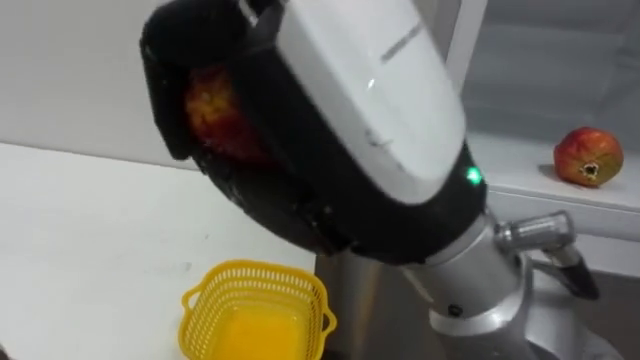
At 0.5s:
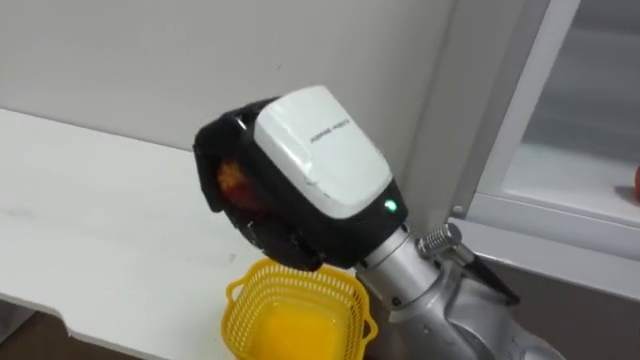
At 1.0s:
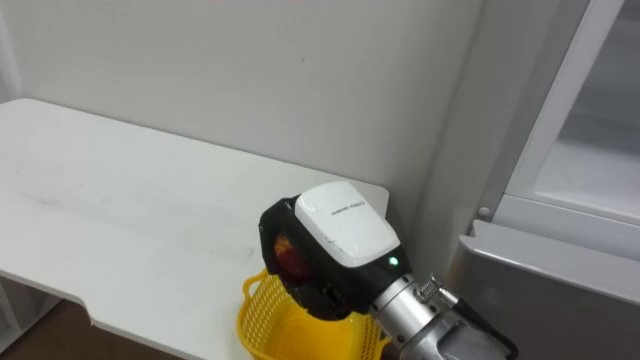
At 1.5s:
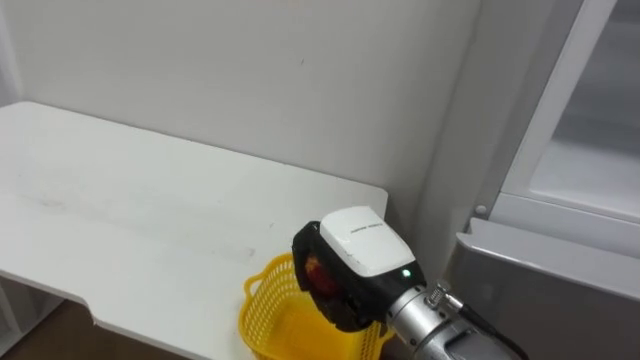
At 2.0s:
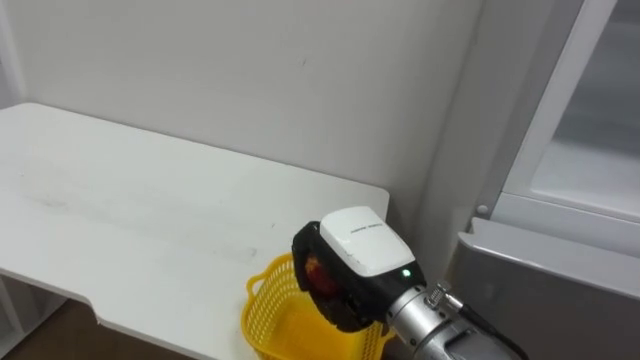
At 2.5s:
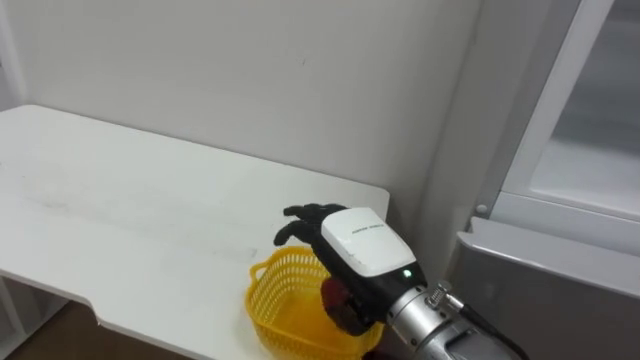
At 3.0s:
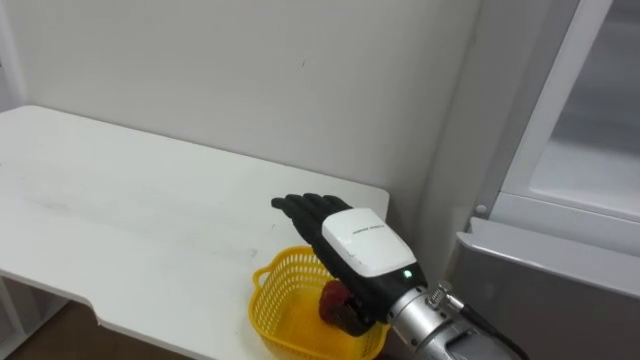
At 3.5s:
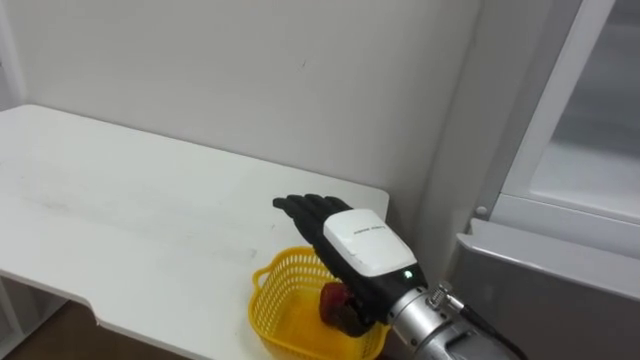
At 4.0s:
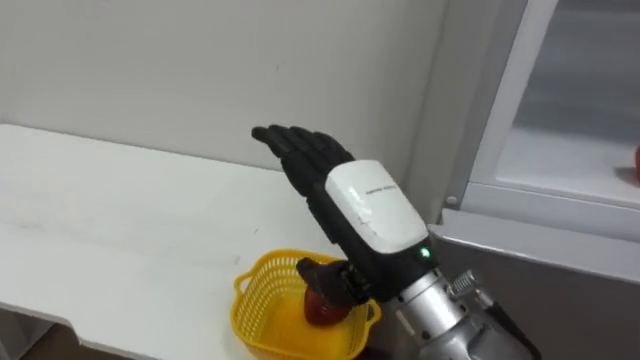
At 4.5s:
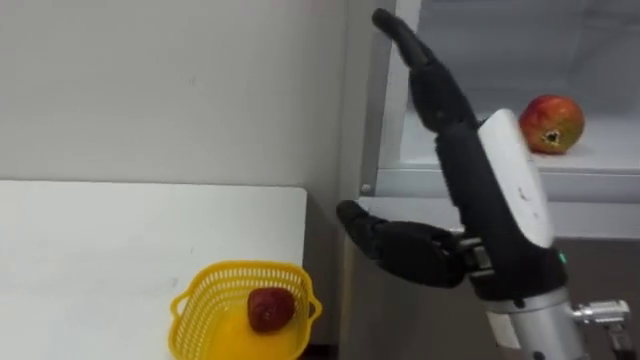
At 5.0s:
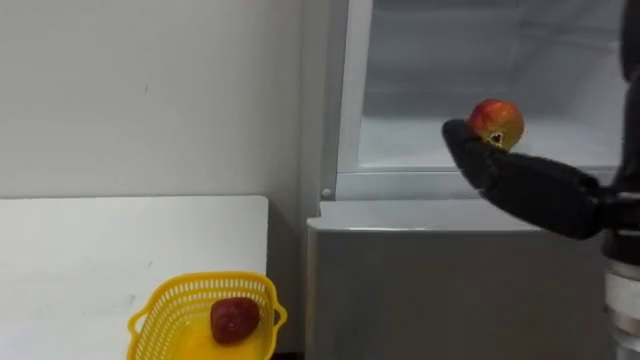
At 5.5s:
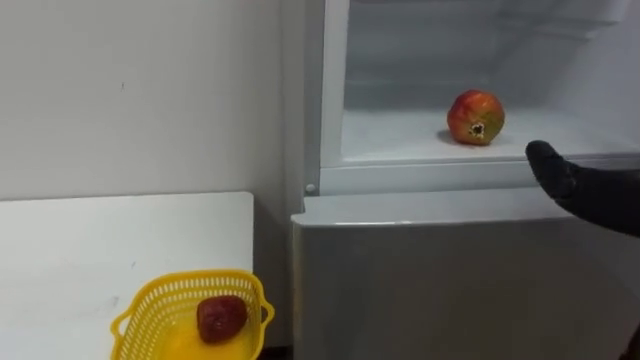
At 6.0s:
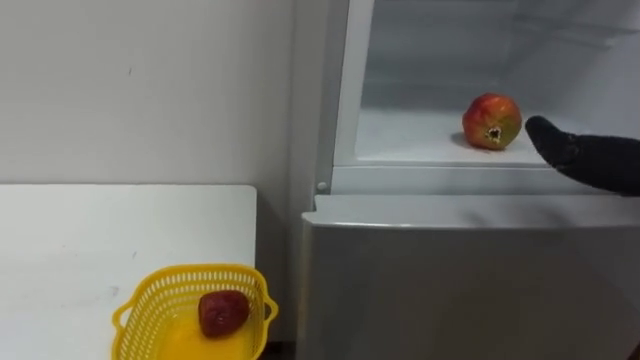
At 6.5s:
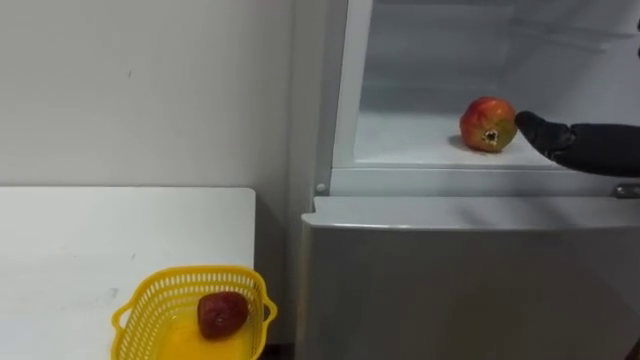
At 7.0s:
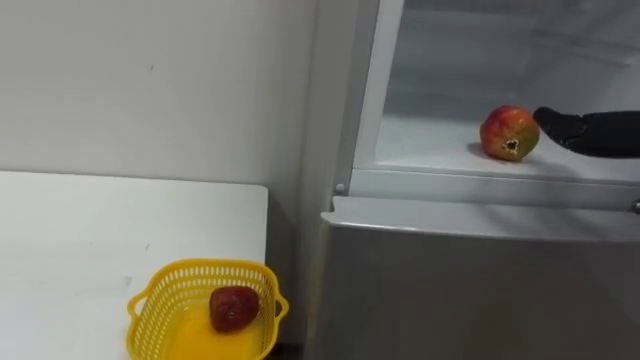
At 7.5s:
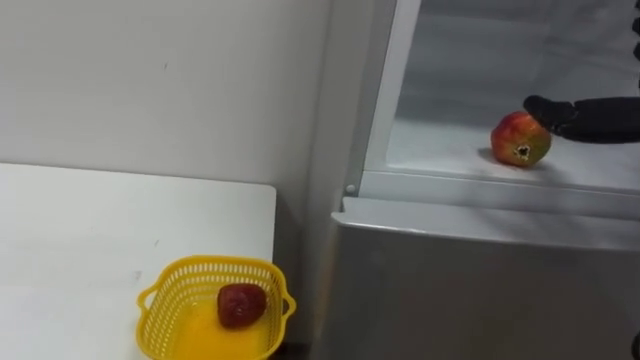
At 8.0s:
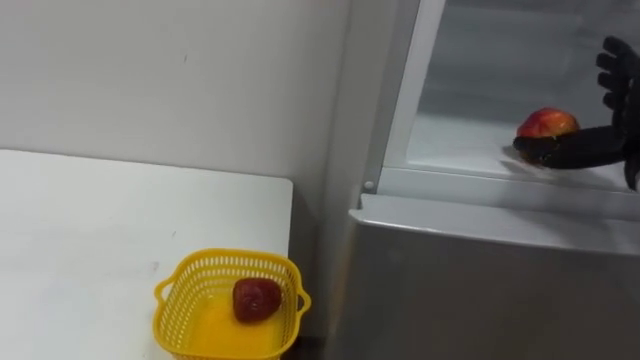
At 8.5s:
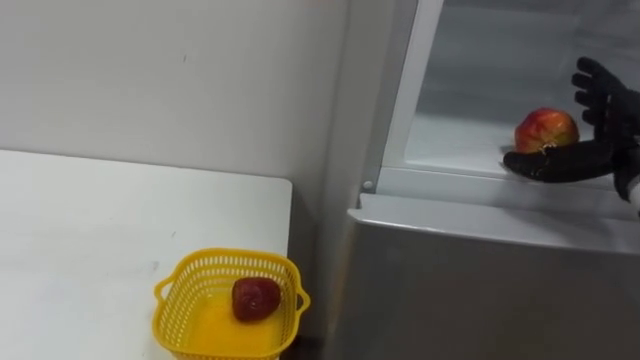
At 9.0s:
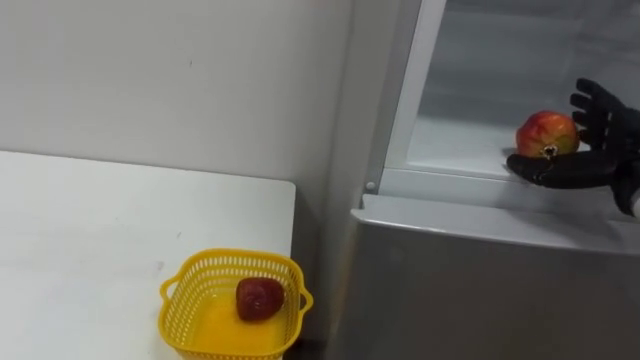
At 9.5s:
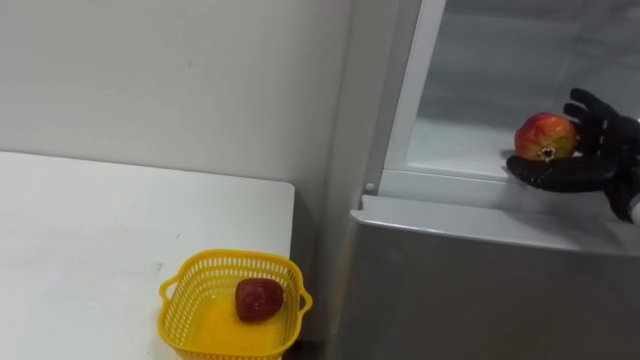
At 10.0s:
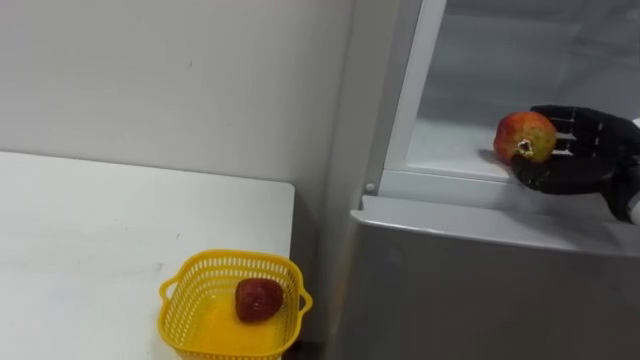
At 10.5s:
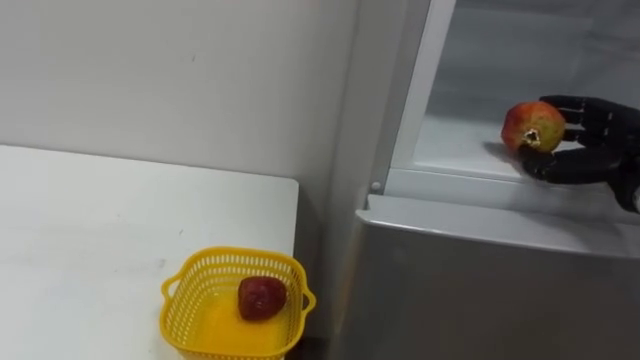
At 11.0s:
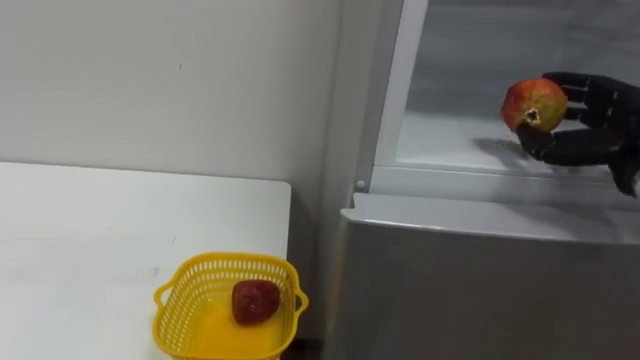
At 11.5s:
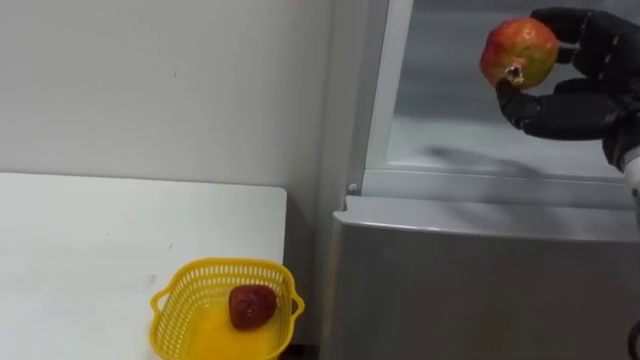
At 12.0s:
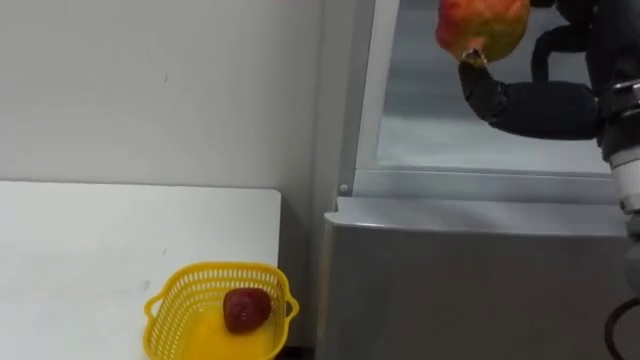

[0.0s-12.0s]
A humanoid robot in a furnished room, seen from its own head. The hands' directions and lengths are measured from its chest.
Task of the whole recording: Open the refrigerator door, take out the apple and the pomegranate, place them in the fruit basket on the left, and close the refrigerator door.
0.0s to 2.0s: The right hand is displaced downward and forward by roughly 25 cm.
2.0s to 4.0s: The right hand is displaced upward by about 5 cm, and opens up.
10.0s to 12.0s: The right hand heads upward, to the left and backward, covering some 20 cm.

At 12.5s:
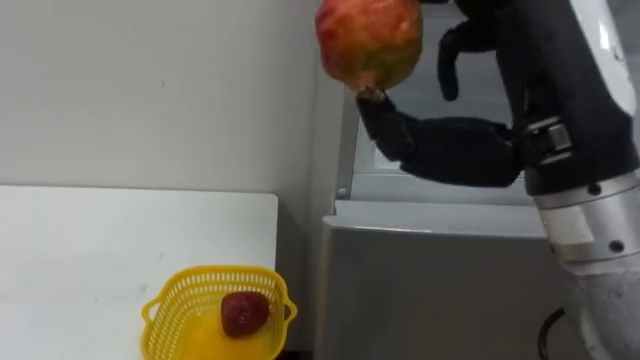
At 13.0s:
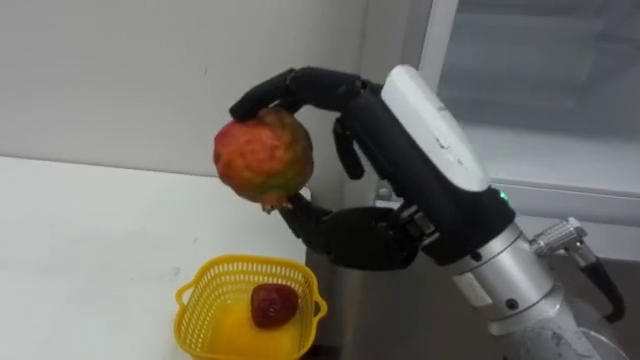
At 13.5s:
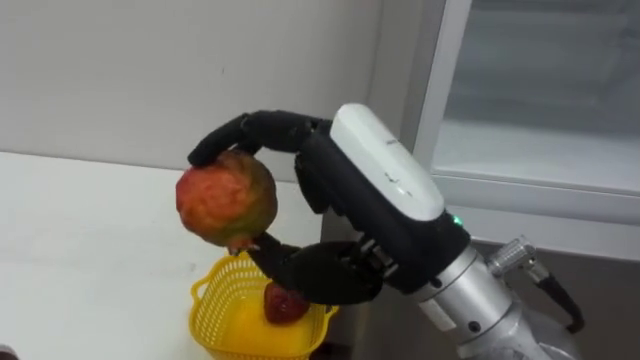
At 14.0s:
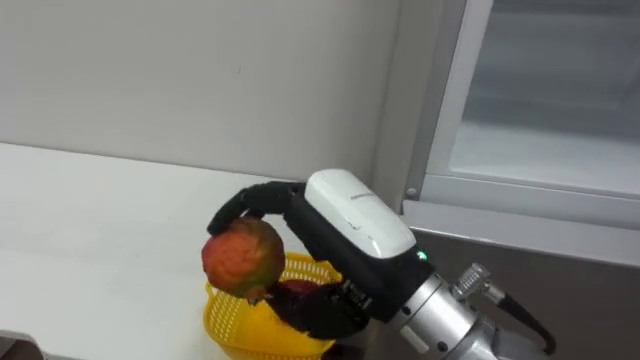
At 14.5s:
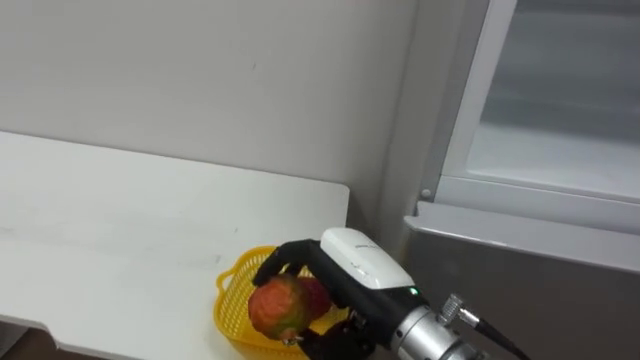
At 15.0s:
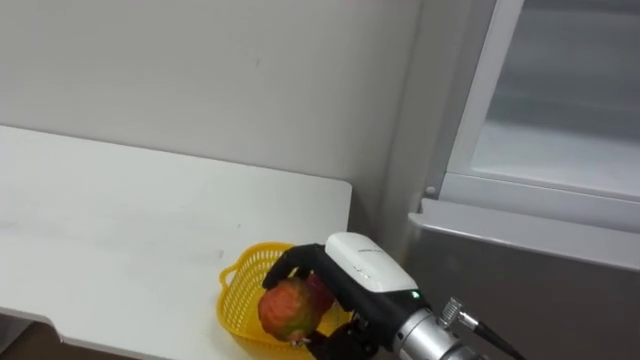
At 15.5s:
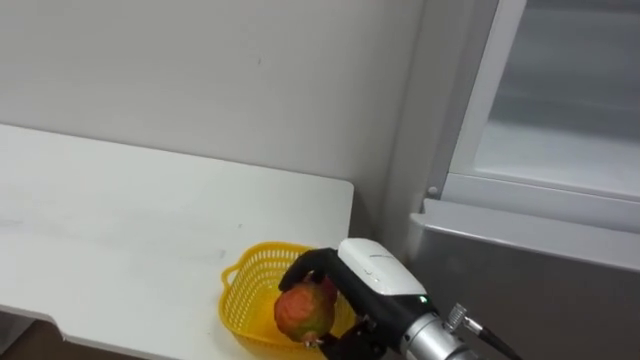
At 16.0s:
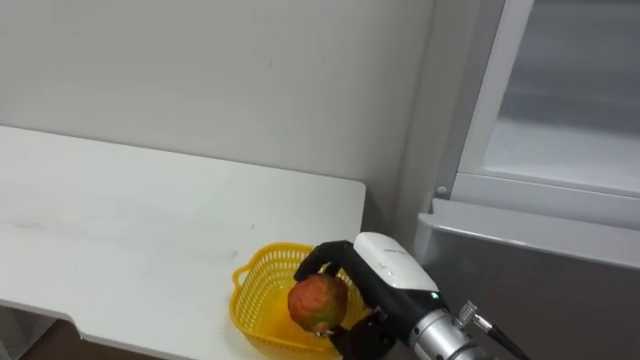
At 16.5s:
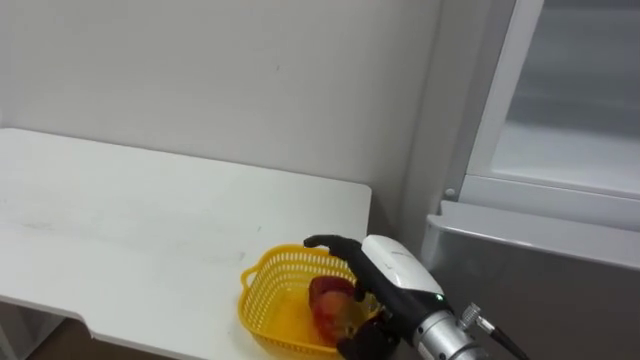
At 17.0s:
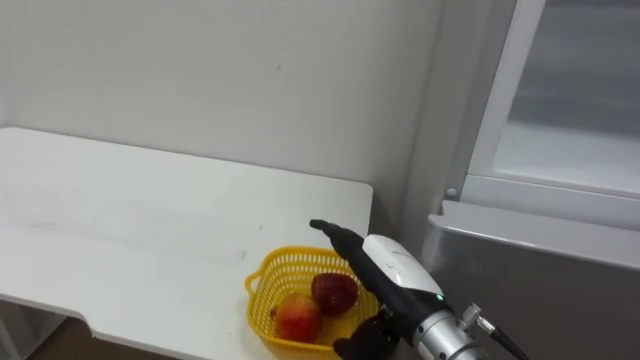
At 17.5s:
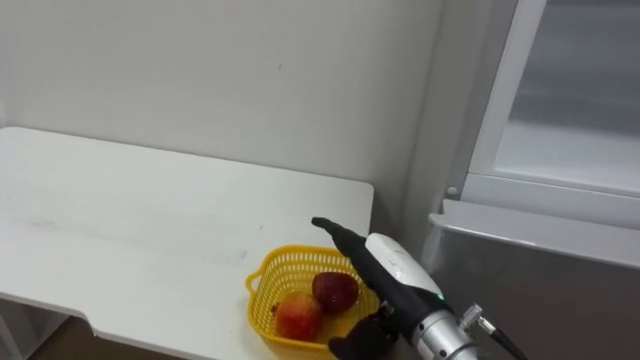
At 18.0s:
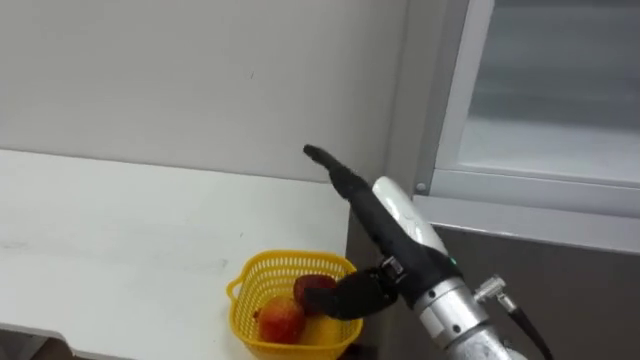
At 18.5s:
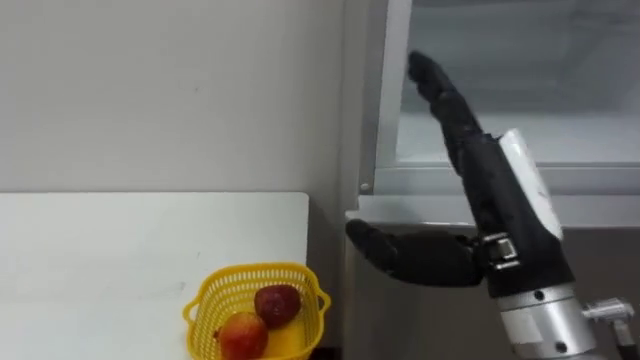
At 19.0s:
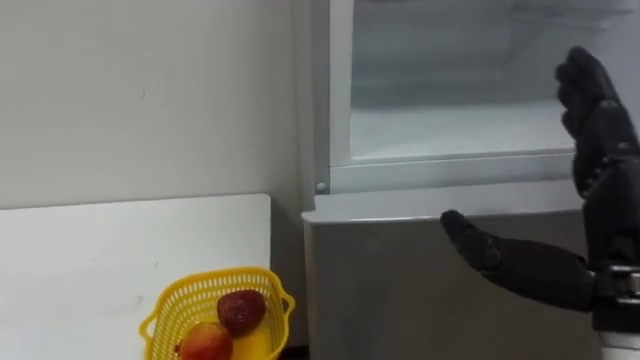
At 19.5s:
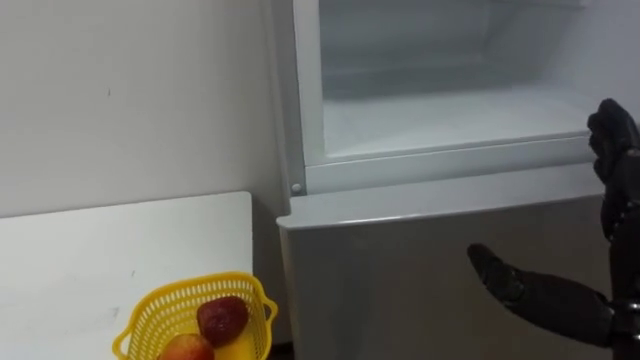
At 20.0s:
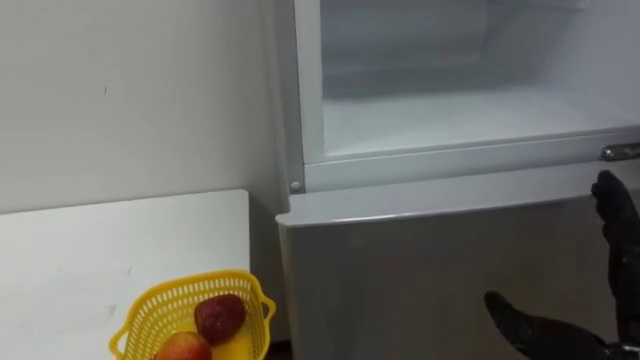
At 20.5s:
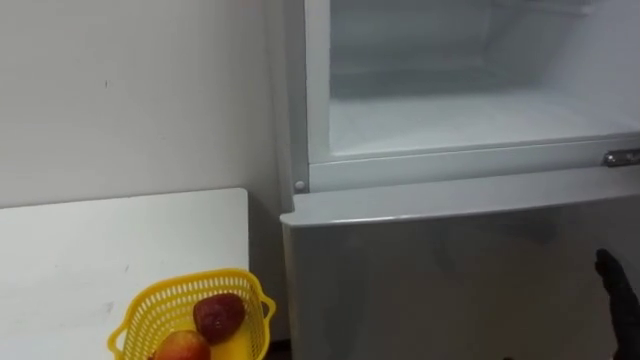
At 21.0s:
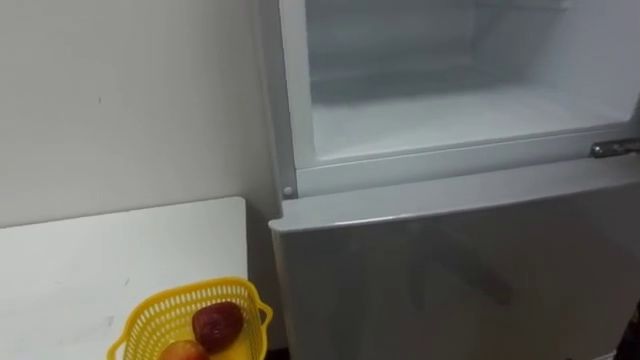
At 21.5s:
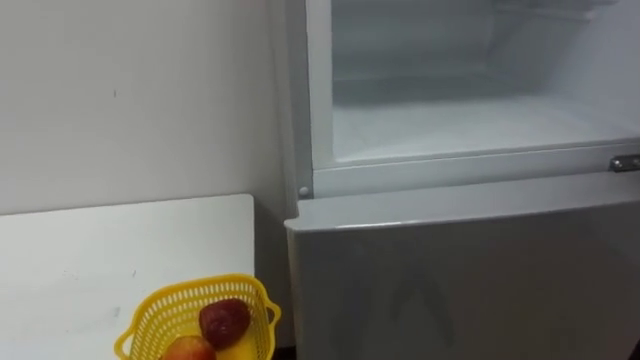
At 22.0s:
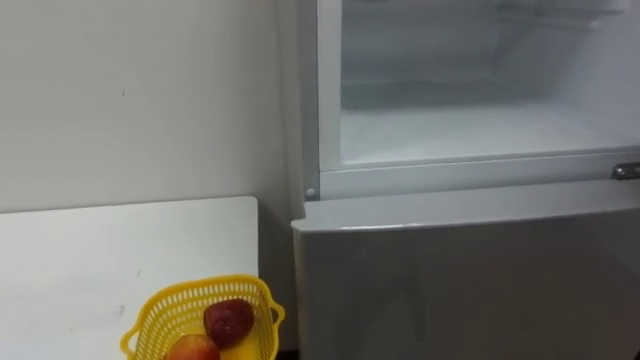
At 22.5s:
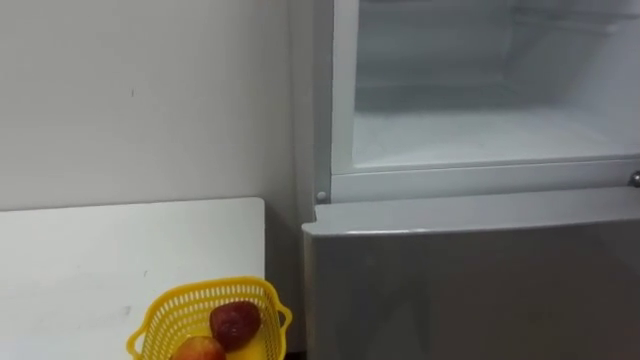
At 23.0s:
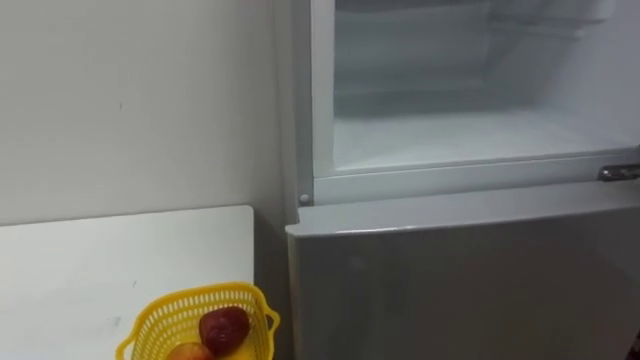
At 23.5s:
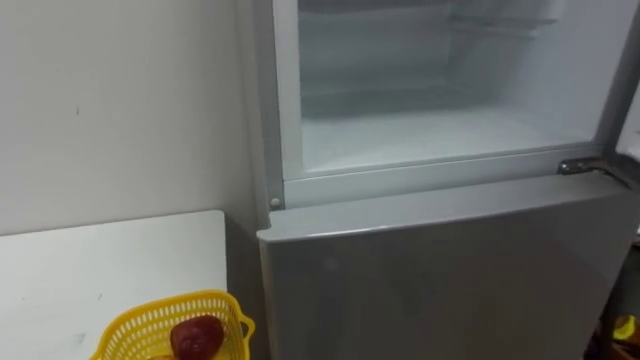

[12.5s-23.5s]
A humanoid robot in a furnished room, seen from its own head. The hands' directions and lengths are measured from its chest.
Task of the whole recording: Open the refrigerator door, take out the apple and the pomegranate, place them in the fruit basket on the left, and close the refrigerator door.
12.5s to 14.5s: The right hand travels downward and to the left by some 20 cm.
14.5s to 16.0s: The right hand changes place by roughly 5 cm.
16.0s to 18.0s: The right hand heads upward, covering about 5 cm, and opens its fingers.
18.0s to 20.0s: The right hand shifts approximately 20 cm to the right and backward.
